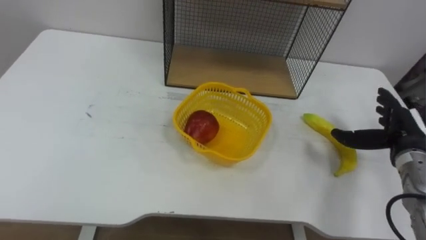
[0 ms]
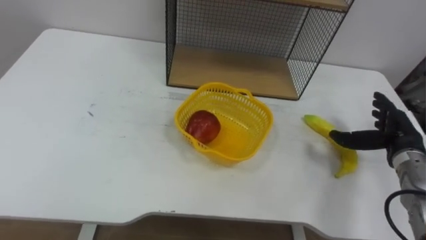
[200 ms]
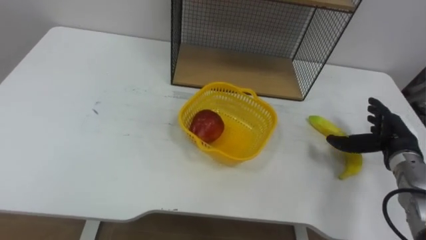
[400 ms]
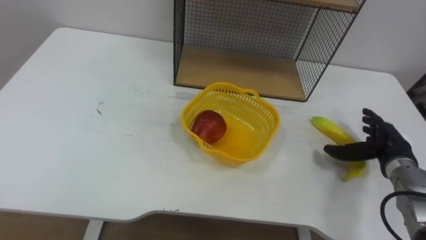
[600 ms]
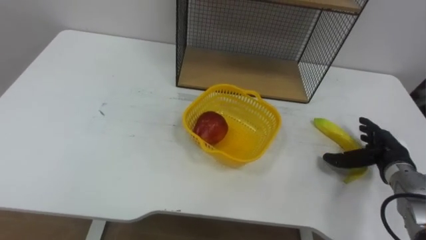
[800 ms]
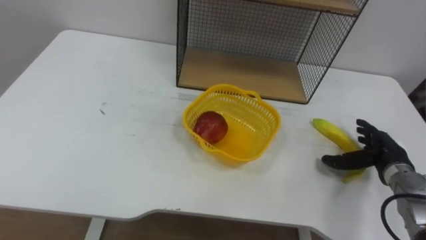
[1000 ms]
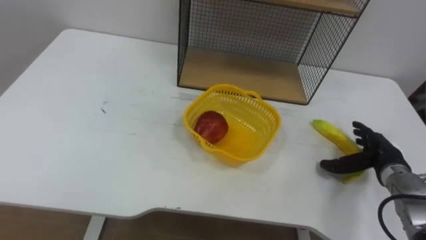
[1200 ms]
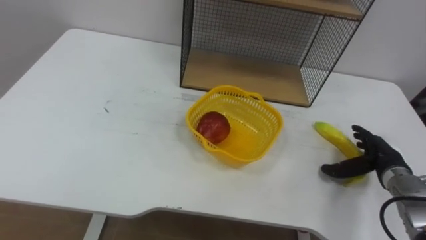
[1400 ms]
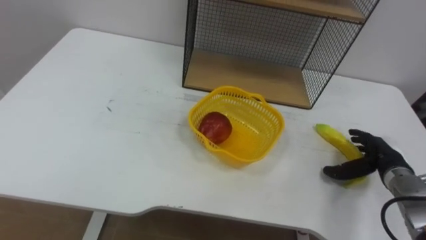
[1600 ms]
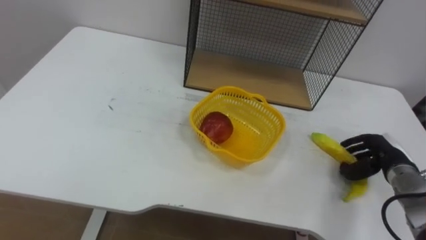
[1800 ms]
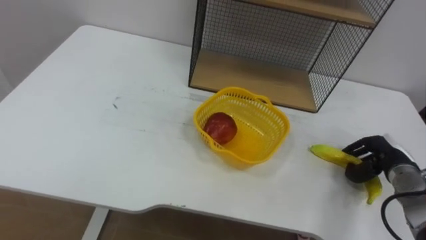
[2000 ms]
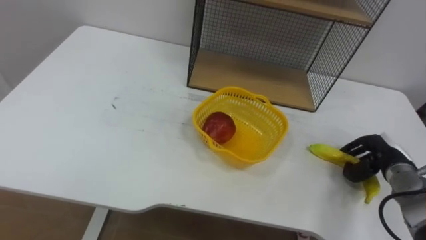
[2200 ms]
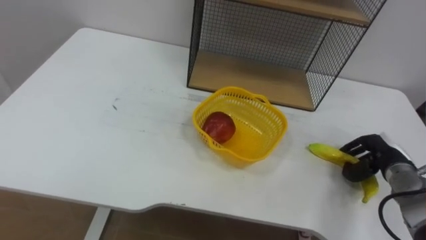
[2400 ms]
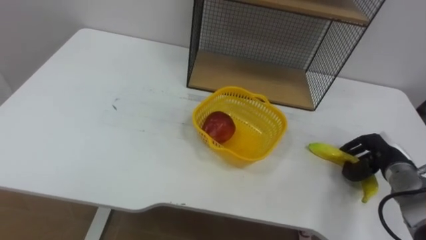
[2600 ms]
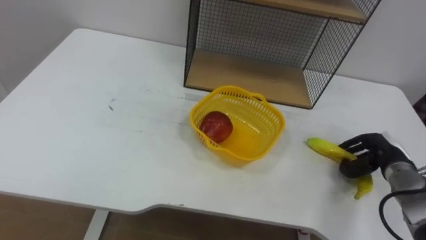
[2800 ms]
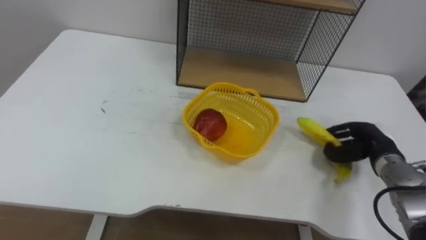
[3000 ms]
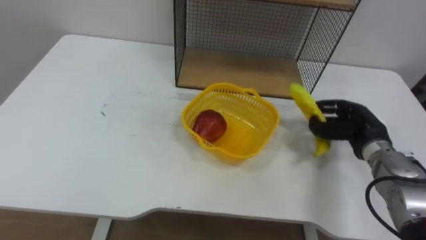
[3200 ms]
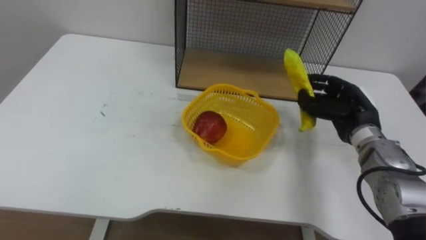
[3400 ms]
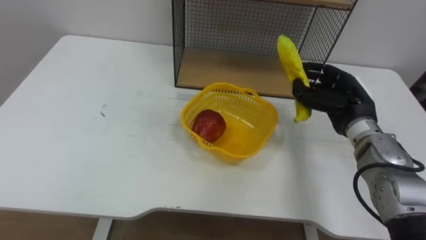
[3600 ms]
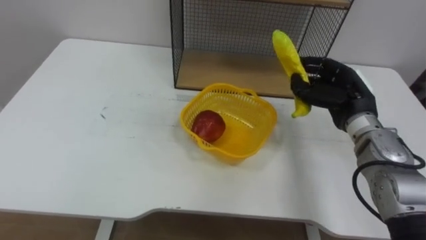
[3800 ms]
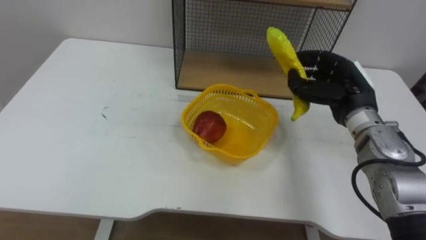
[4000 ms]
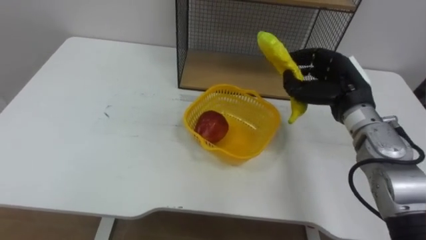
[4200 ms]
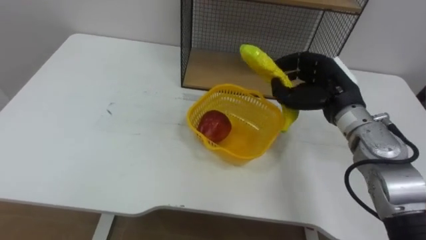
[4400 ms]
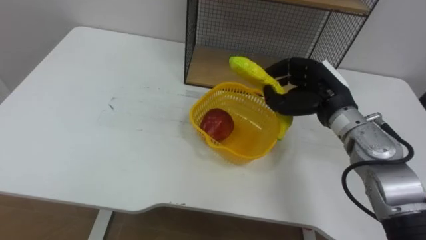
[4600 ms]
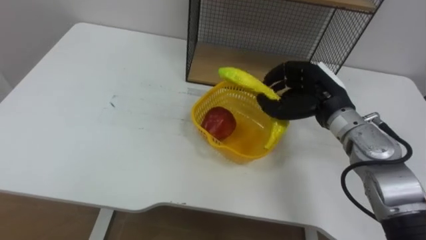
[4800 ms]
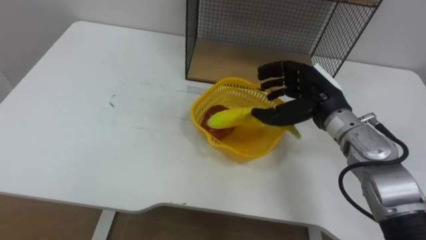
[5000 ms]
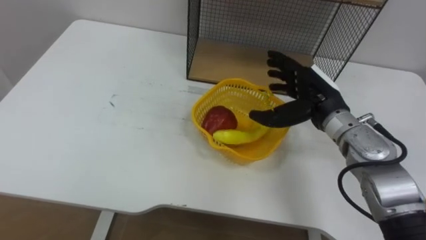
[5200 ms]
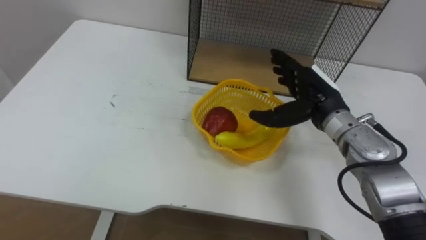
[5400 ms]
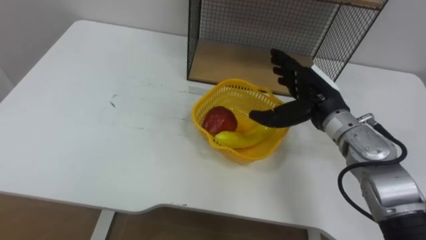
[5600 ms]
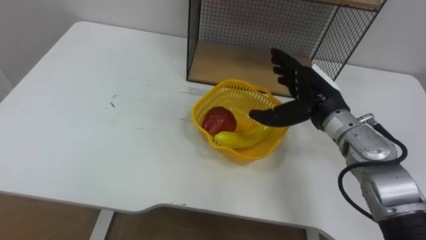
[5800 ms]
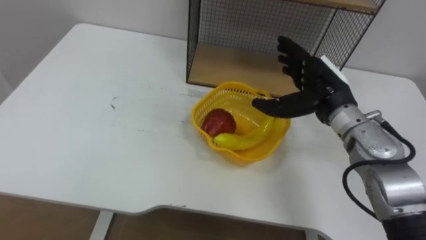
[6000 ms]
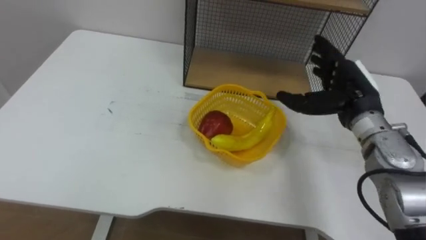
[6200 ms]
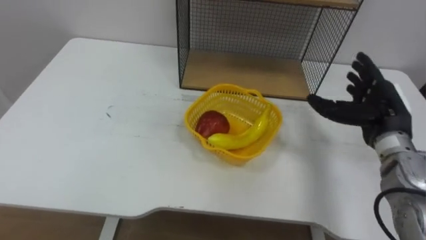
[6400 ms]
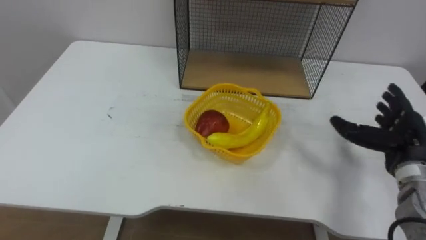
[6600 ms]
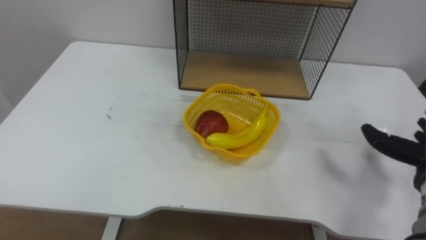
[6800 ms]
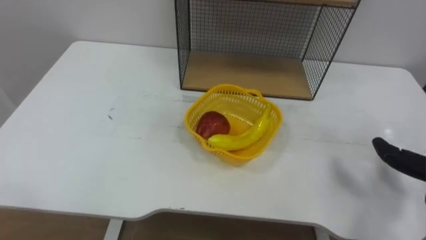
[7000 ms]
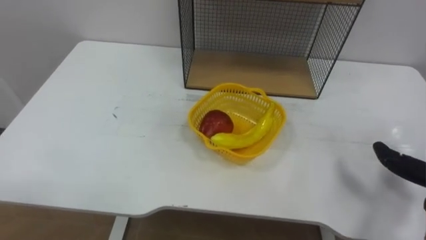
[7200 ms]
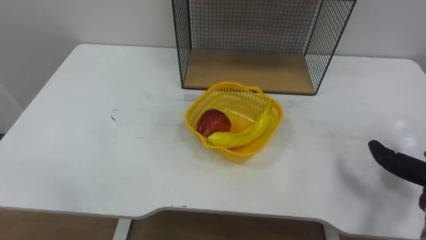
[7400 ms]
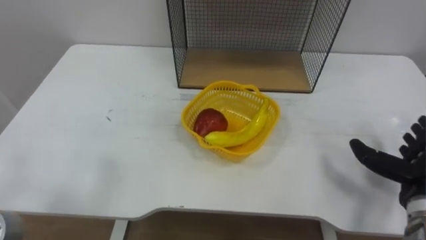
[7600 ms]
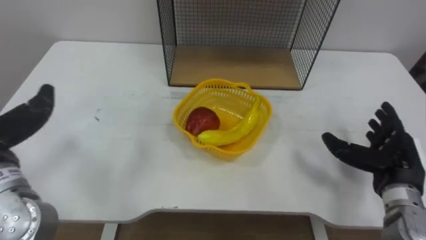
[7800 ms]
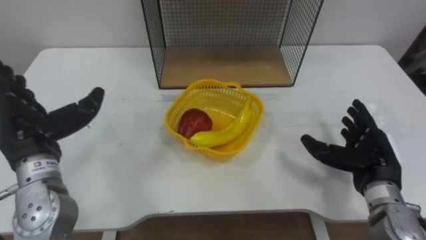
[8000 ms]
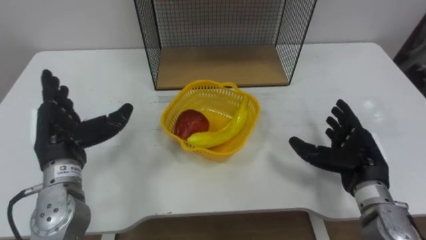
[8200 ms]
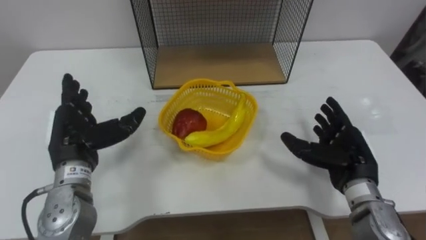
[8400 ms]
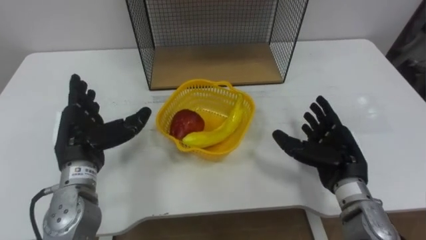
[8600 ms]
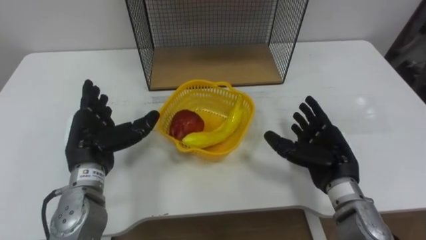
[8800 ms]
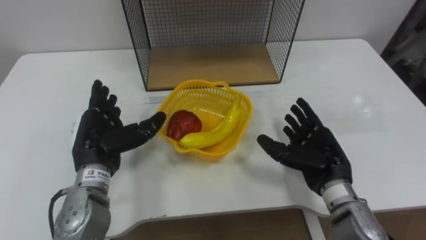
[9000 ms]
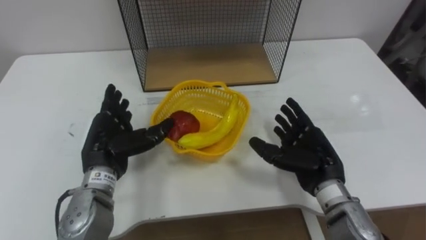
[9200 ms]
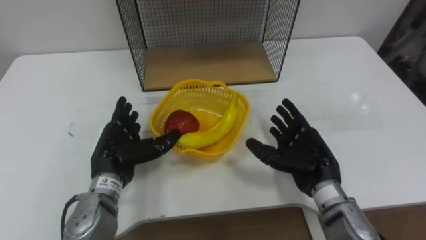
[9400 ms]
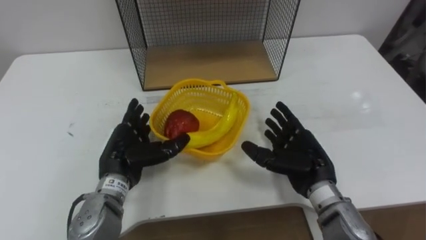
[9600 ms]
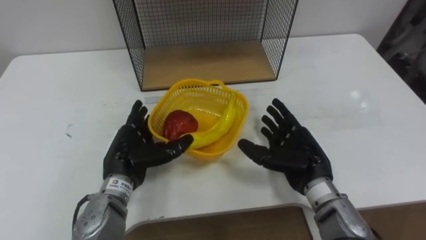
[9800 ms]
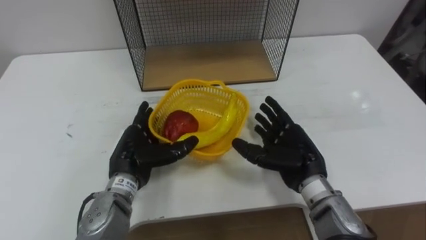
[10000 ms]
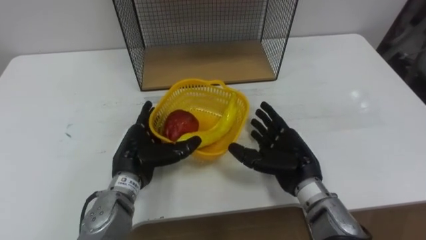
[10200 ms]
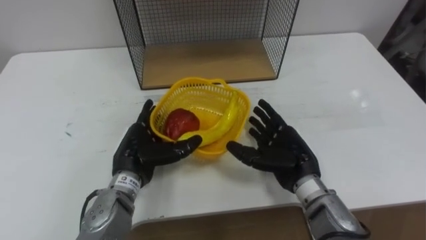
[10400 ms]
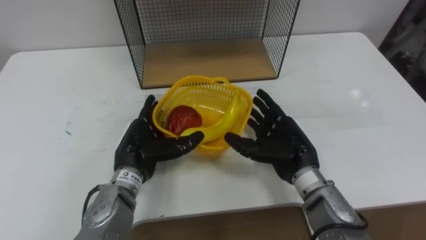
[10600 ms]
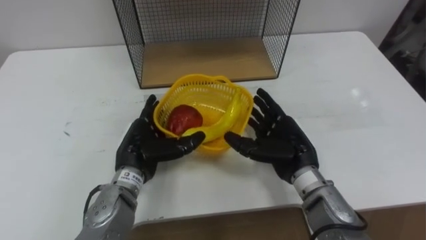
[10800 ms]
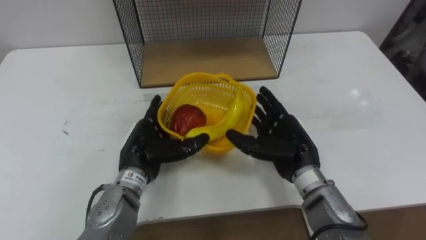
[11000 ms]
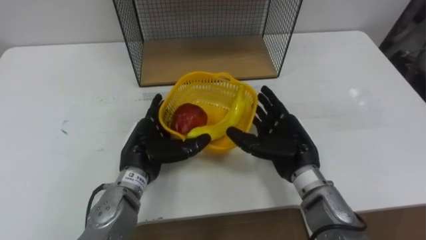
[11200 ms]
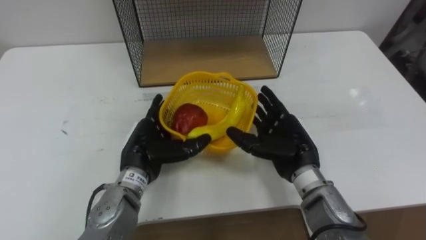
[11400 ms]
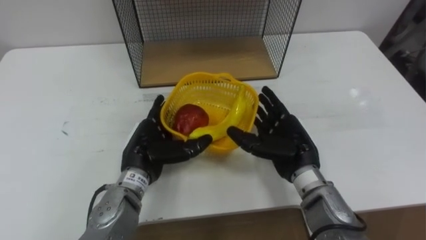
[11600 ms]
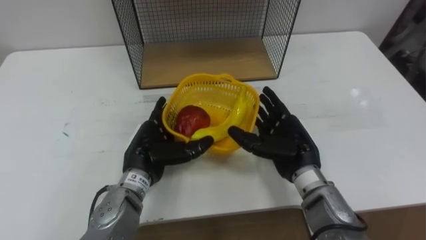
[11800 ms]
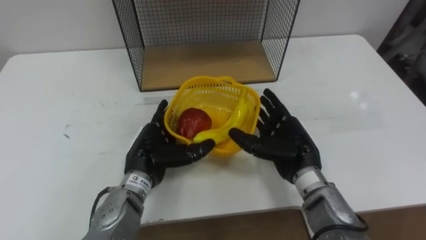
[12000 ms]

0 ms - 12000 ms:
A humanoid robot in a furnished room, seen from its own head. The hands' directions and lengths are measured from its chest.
Task of the whole recording: Put the fruit on the table into the basket, then place the basket on the shelf.
0 ms - 1600 ms: The right hand goes roughly 5 cm downward.
1600 ms - 3000 ms: The right hand closes its fingers.
3000 ms - 4400 ms: The right hand moves upward and to the left, some 20 cm.
4400 ms - 6000 ms: The right hand opens.
9000 ms - 10400 ms: The right hand travels to the left by roughly 5 cm. The left hand travels to the right by approximately 5 cm.
10400 ms - 12000 ms: The hands make only small movements.

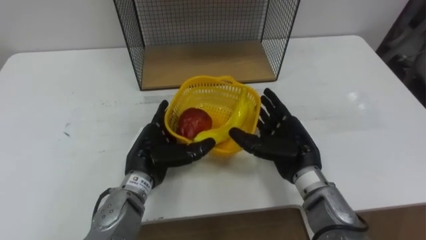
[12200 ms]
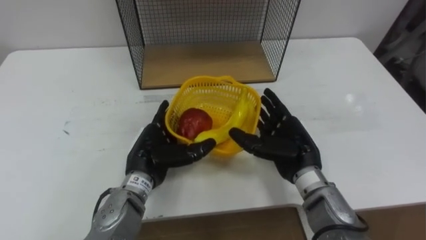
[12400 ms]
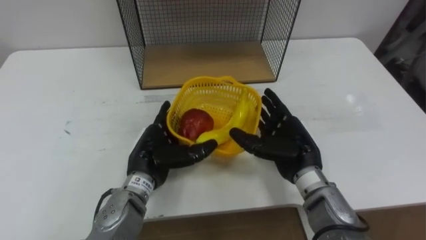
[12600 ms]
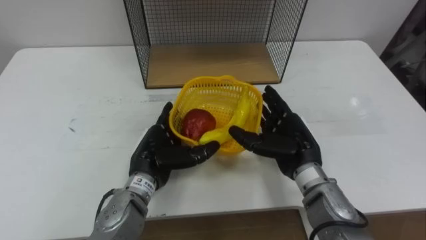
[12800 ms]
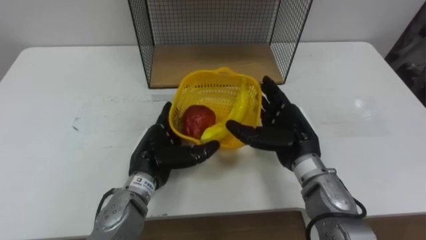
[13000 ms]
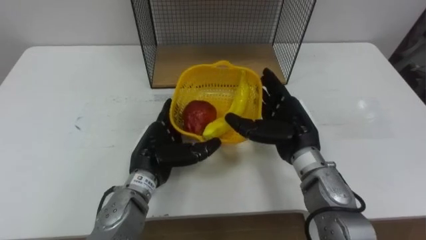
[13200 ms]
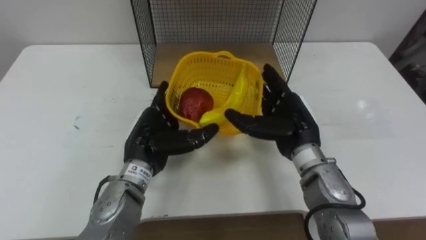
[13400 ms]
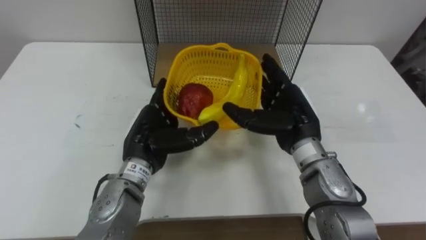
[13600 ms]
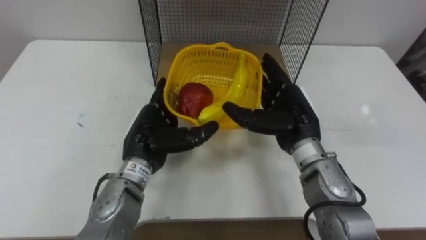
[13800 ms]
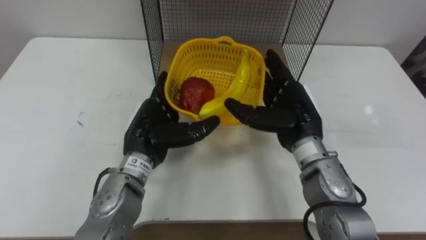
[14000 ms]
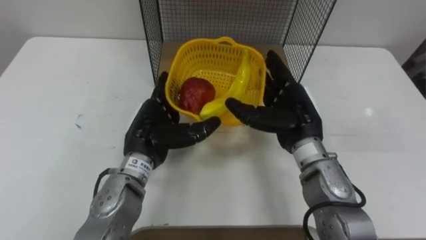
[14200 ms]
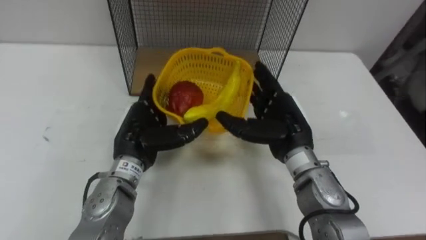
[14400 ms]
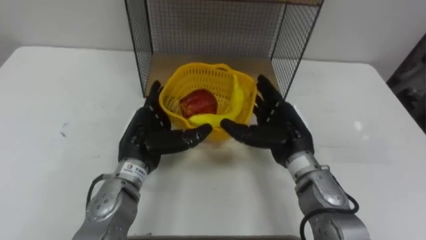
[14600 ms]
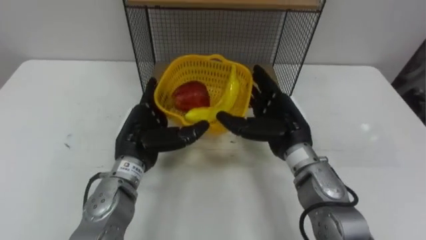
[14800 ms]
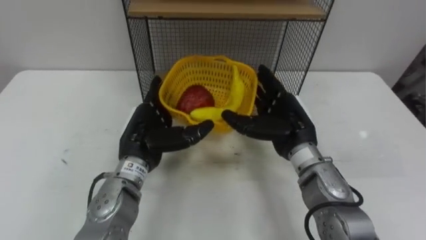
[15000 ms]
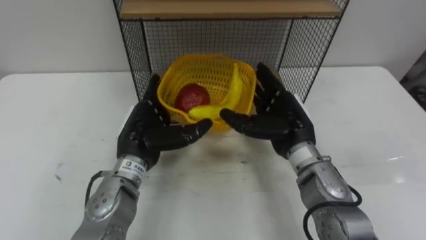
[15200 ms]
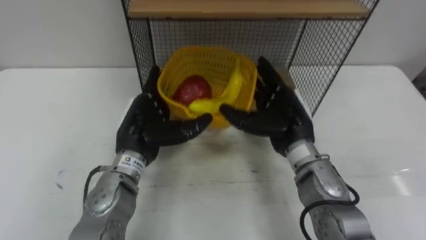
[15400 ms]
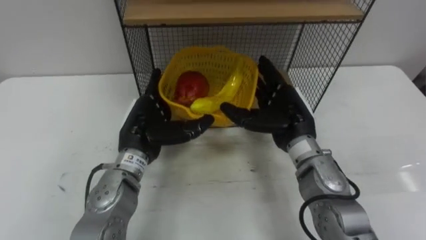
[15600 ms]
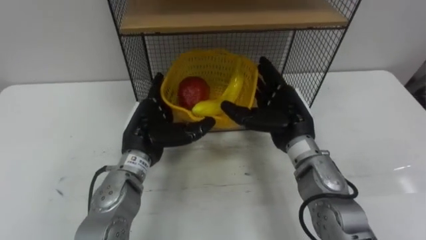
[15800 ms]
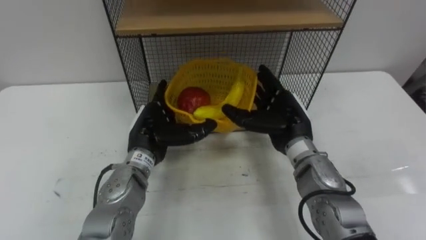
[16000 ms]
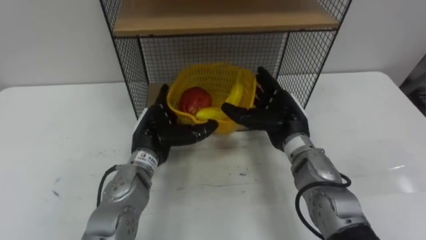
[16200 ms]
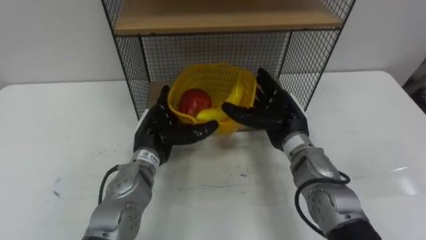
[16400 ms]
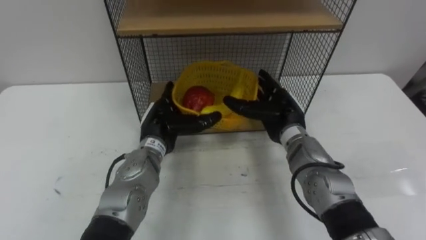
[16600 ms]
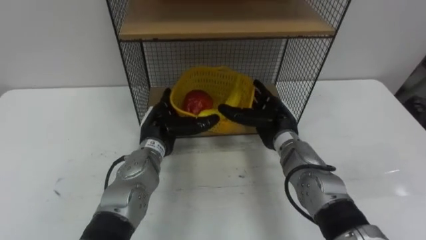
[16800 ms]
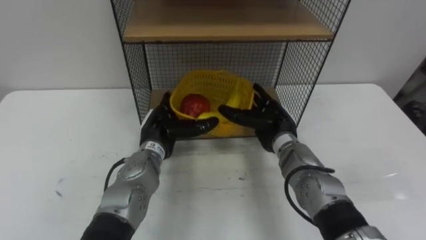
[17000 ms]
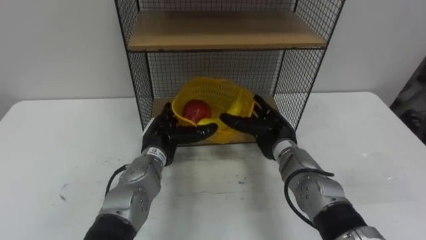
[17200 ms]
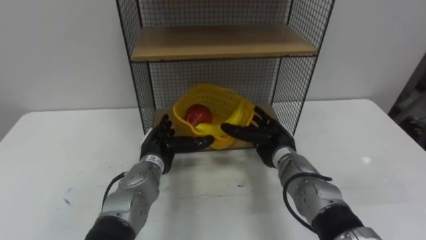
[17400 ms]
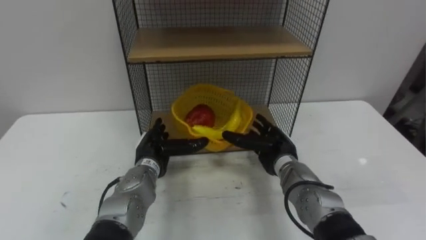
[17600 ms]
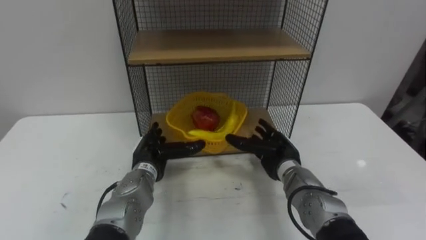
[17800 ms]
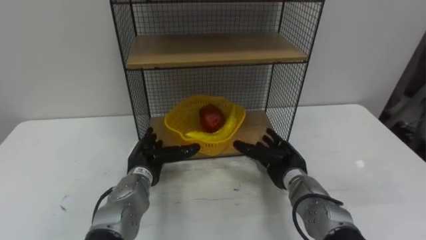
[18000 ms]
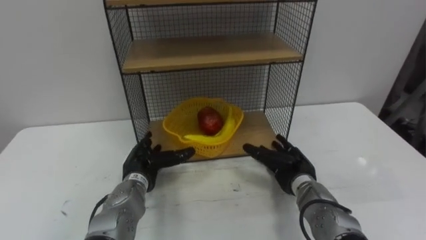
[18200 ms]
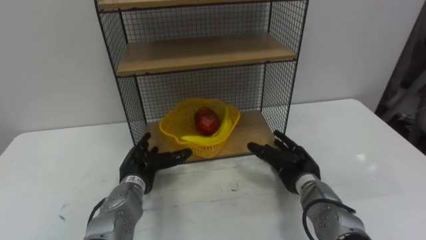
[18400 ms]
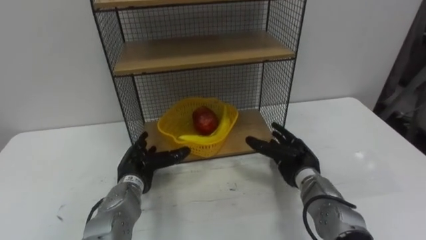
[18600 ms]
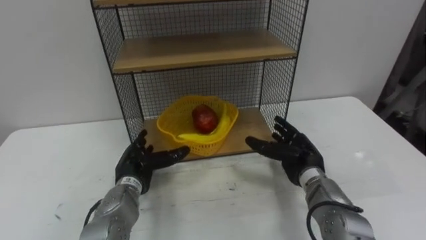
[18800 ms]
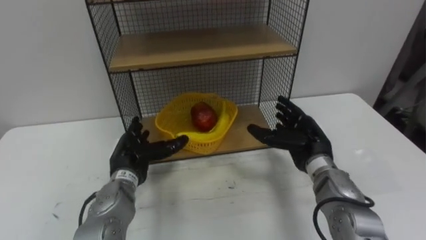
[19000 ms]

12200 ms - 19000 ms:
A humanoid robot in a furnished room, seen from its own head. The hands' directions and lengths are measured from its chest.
Task of the whole recording: Put the fruit on the table into the basket, then place the basket on the shelf.
12200 ms - 13600 ms: The right hand goes about 5 cm upward.
16200 ms - 17600 ms: Both hands travel together downward, roughly 10 cm.
17600 ms - 19000 ms: The left hand shifts by roughly 5 cm; the right hand travels to the right by roughly 5 cm.
